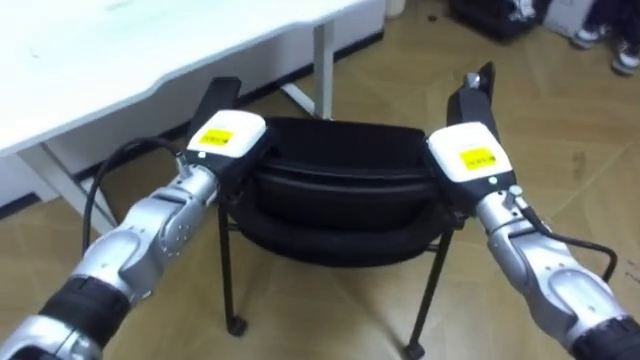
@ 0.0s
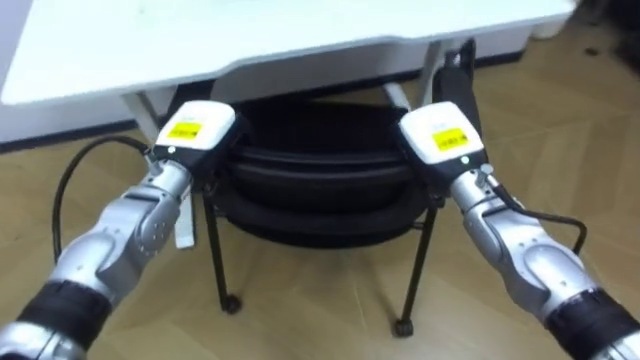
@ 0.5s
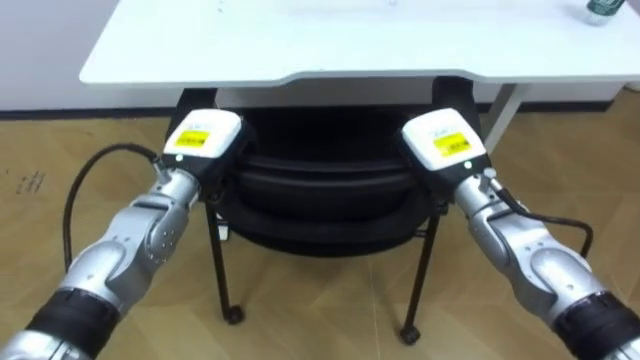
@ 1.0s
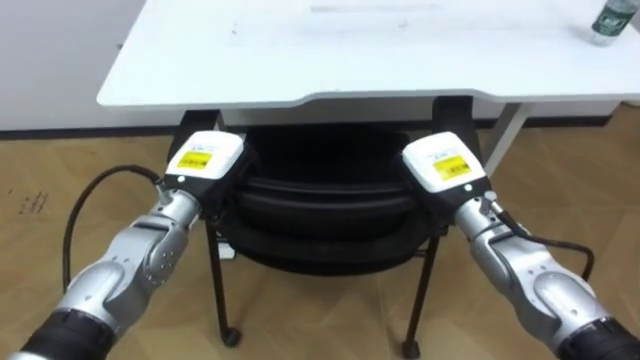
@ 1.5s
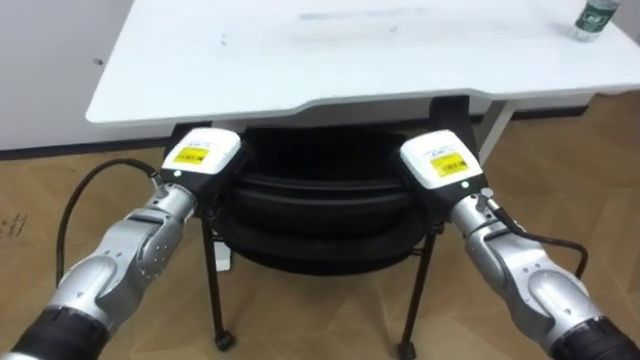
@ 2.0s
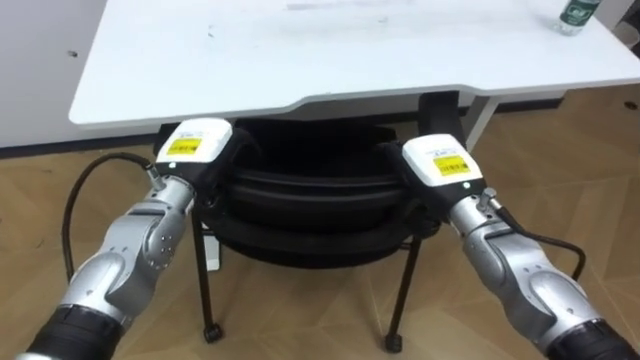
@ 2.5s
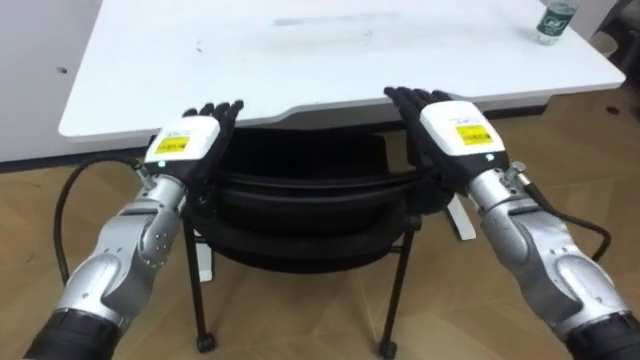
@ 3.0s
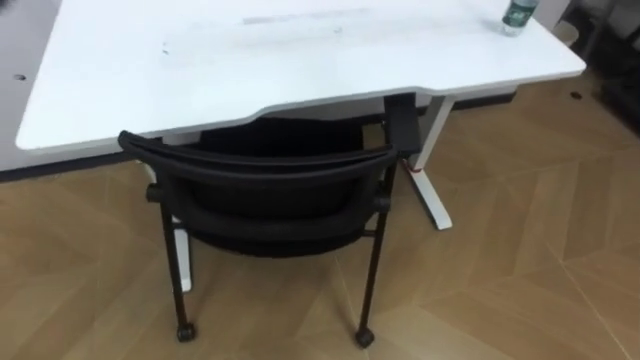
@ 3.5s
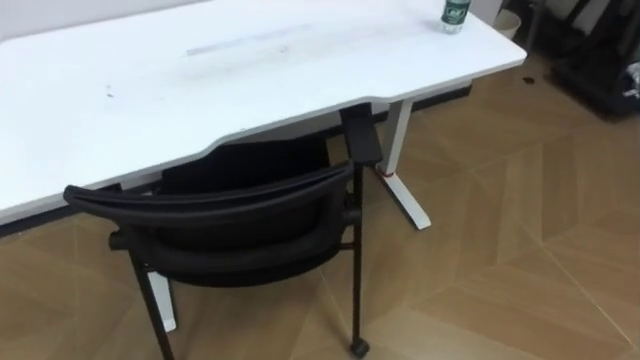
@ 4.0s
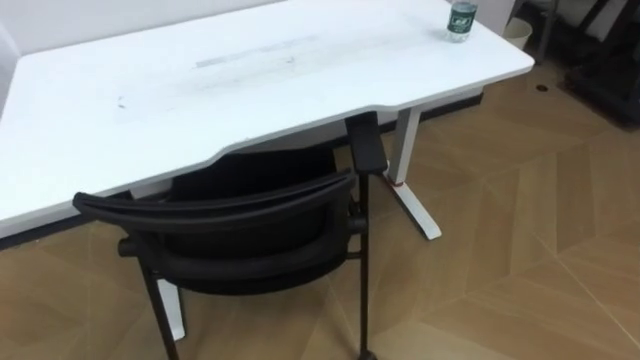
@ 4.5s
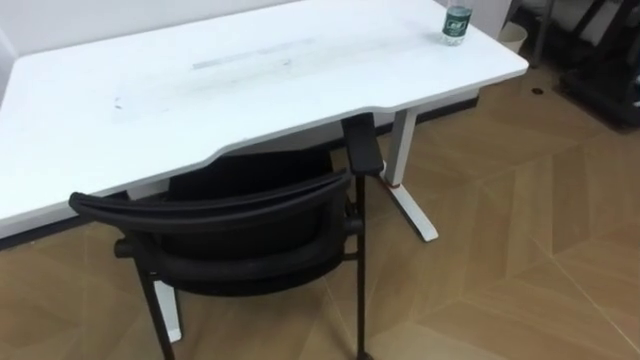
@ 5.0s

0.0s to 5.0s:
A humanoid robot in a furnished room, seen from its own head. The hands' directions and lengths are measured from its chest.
Task of the whole recording: Push the chair under the table.
0.0s to 2.5s: The left hand opens its fingers. Meanwhile the right hand opens.

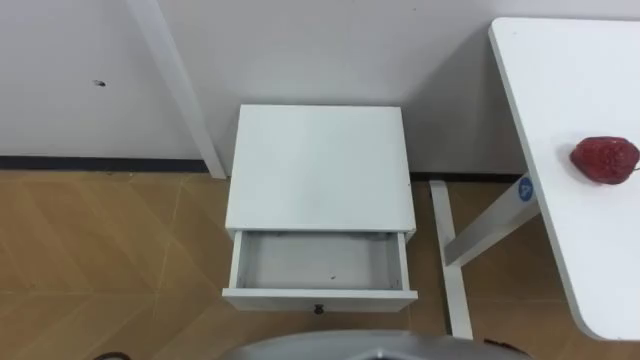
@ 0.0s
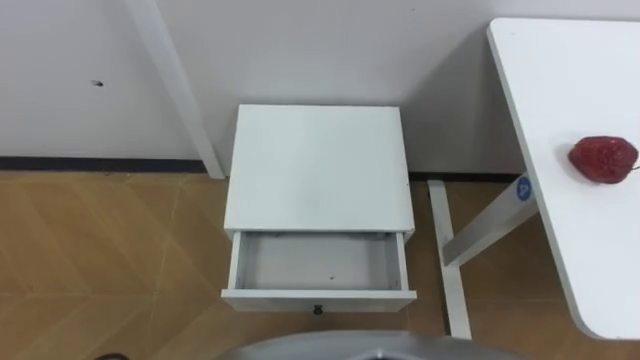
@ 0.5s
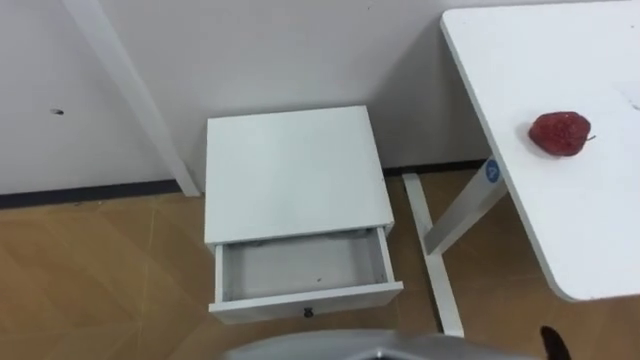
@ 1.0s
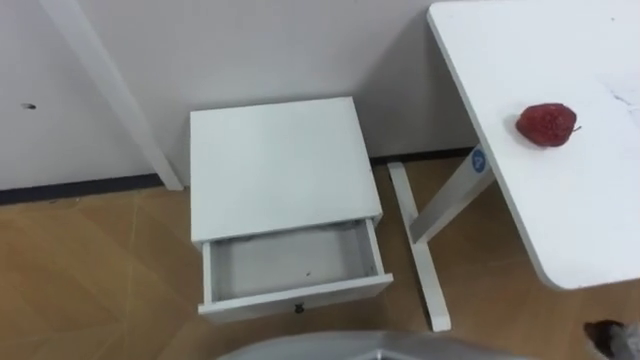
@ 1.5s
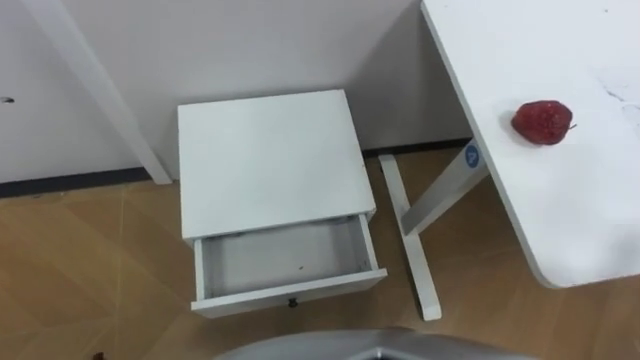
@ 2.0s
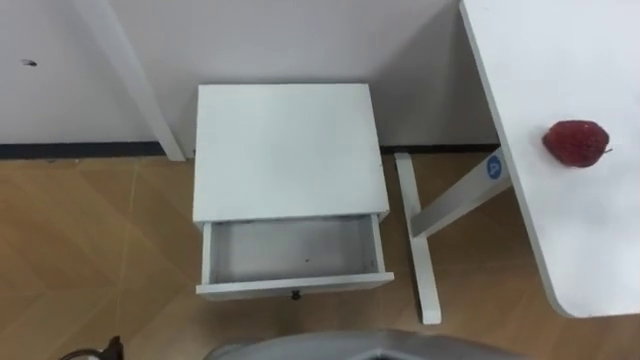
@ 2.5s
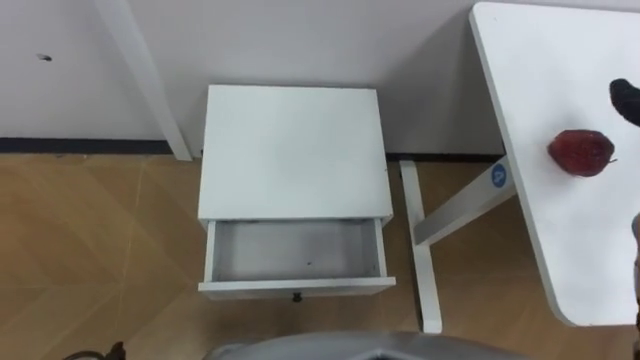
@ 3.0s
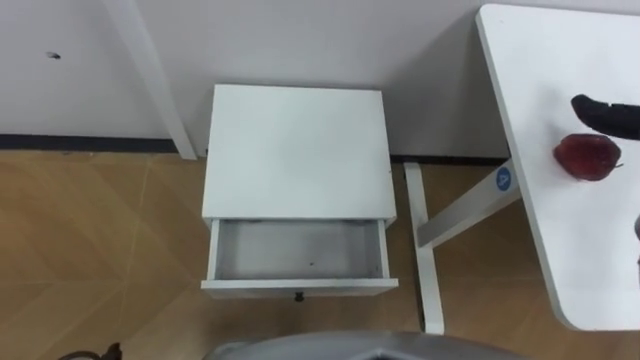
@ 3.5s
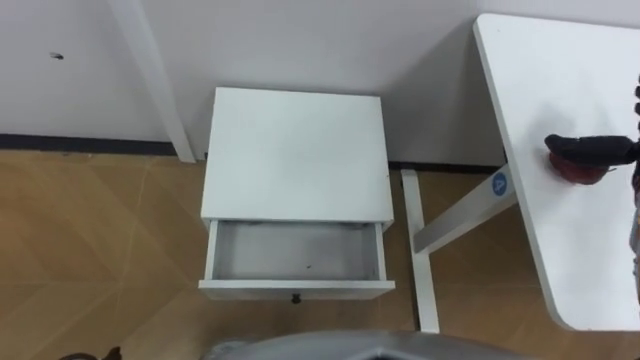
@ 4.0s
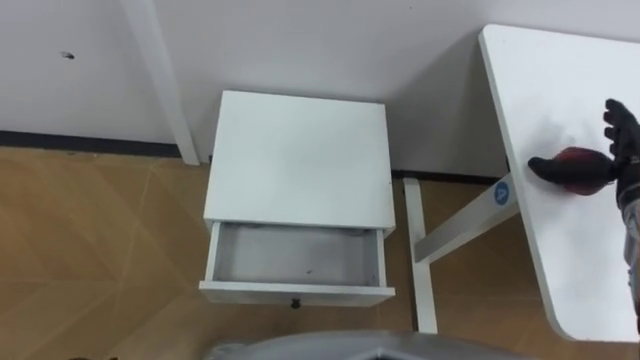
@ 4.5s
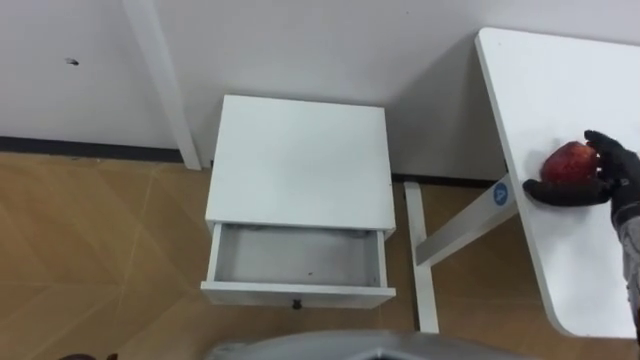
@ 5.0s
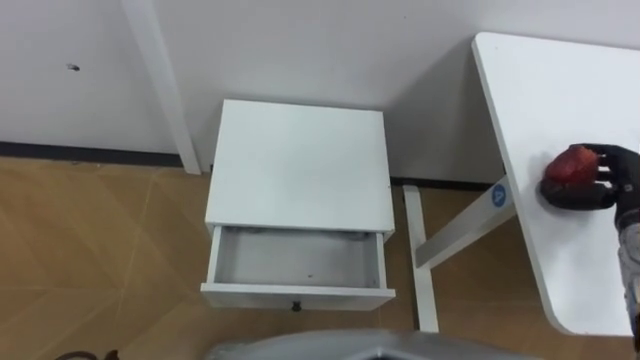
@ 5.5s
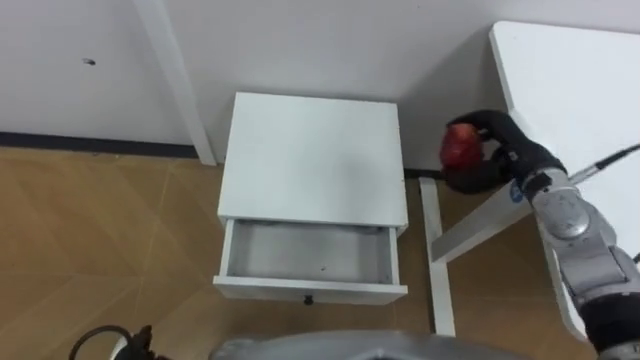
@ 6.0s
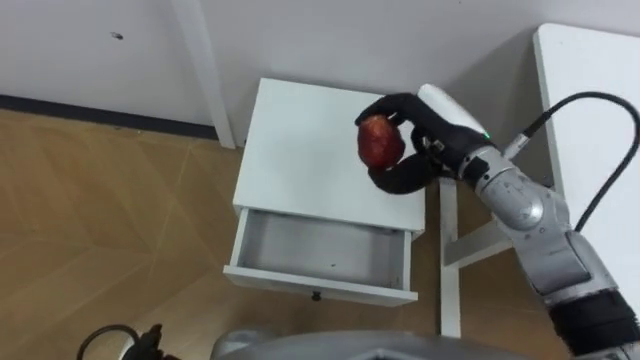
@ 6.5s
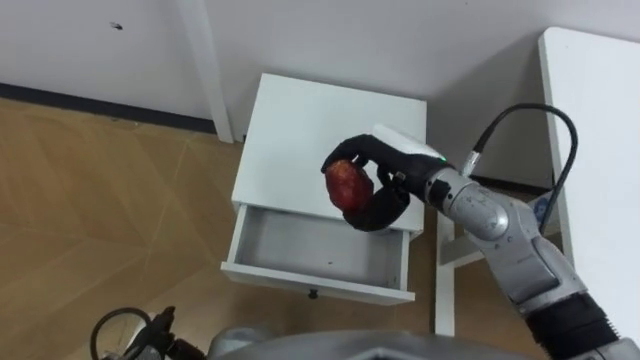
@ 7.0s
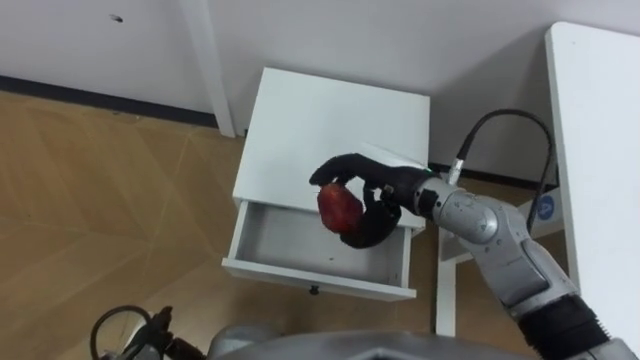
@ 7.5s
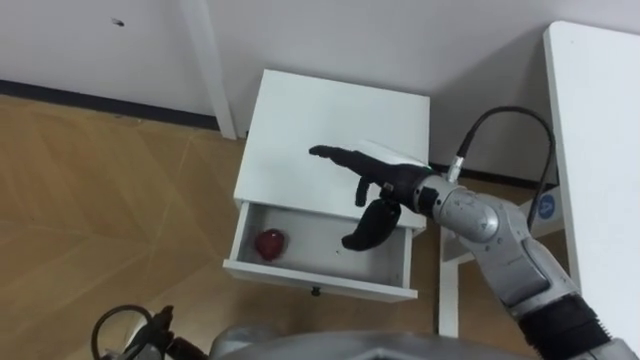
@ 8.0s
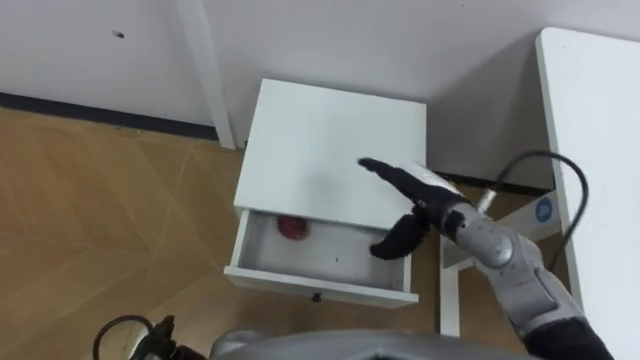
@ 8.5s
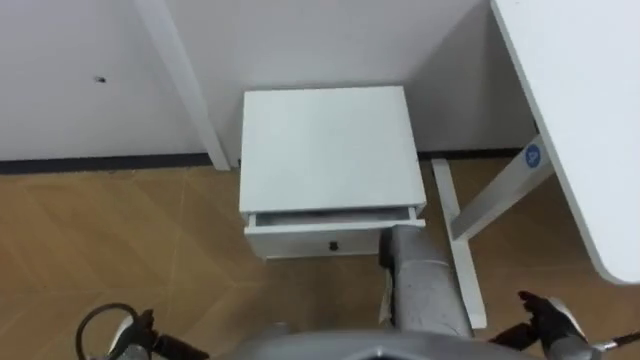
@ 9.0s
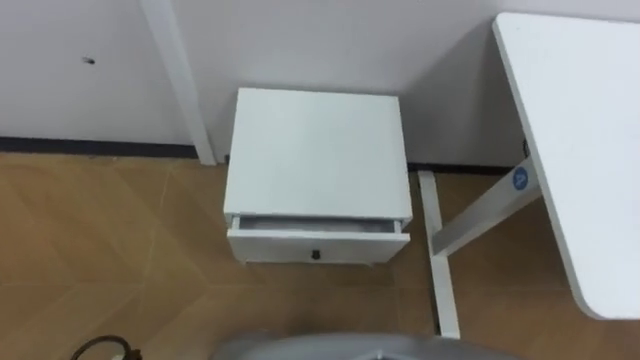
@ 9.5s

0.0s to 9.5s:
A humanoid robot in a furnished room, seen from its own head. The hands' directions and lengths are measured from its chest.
Task of the whole recording: Pick up the apple from the table, put it in the drawer, and close the drawer with leg.
5.5s to 7.5s: The right hand heads to the left, covering some 30 cm.

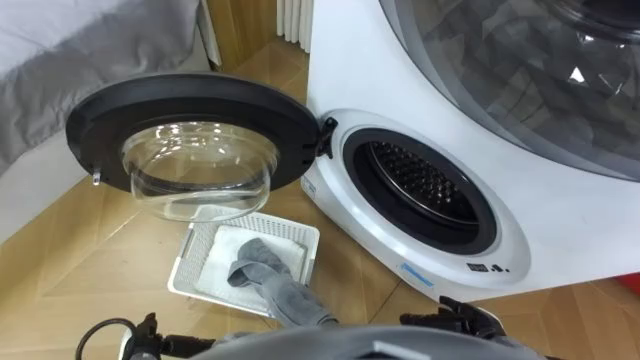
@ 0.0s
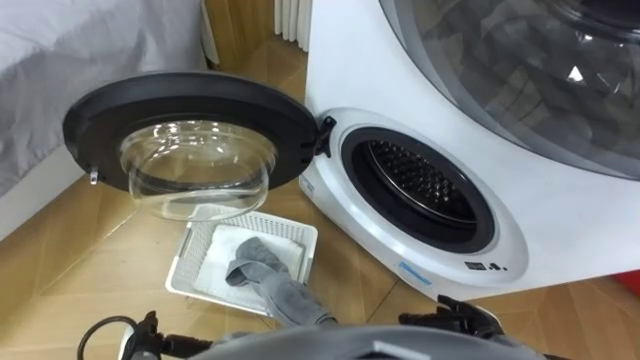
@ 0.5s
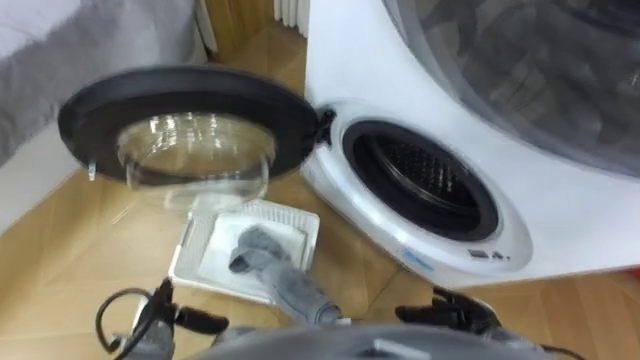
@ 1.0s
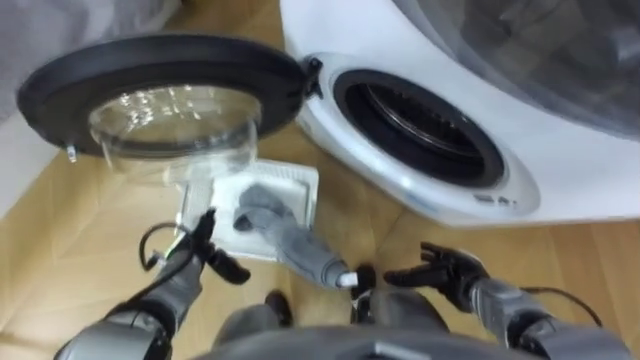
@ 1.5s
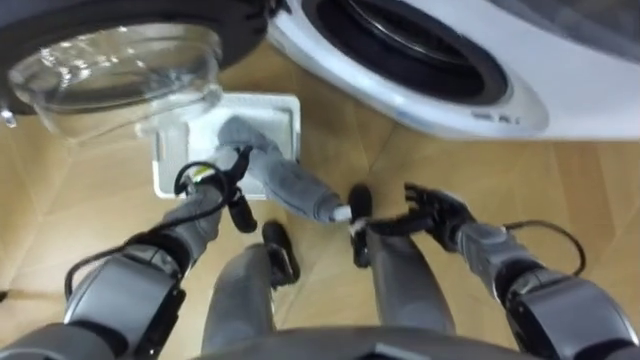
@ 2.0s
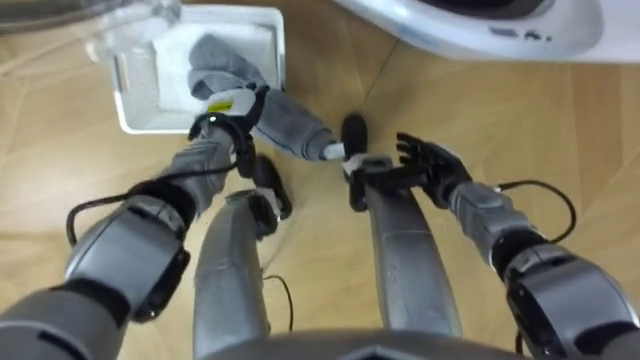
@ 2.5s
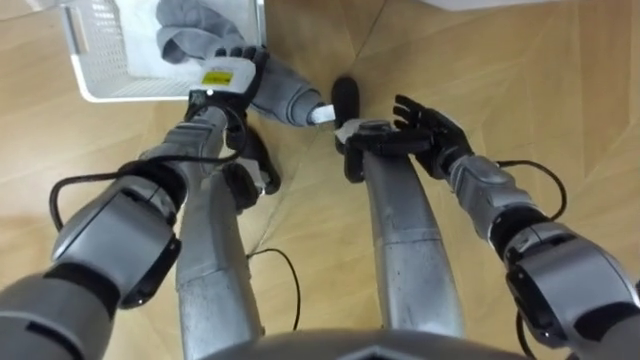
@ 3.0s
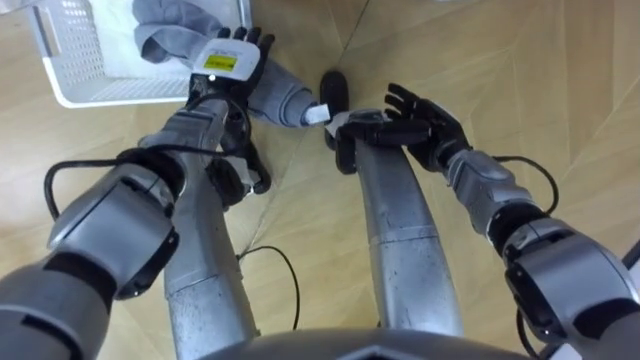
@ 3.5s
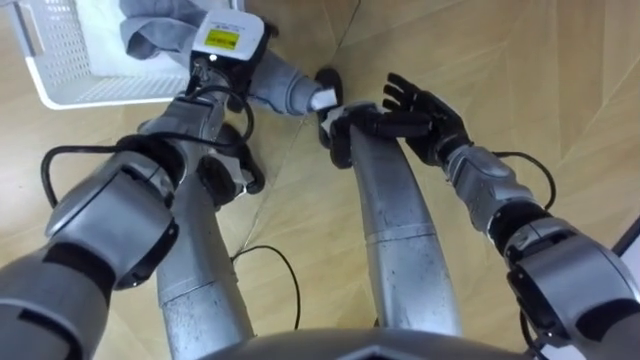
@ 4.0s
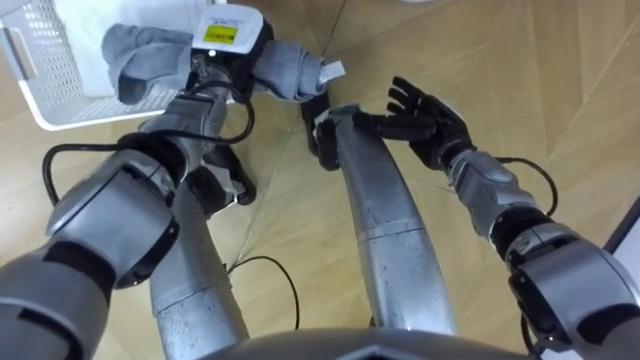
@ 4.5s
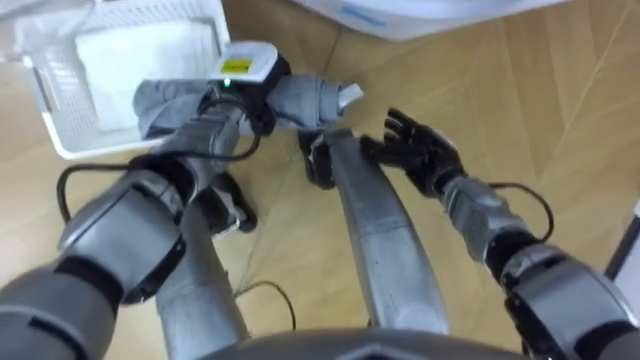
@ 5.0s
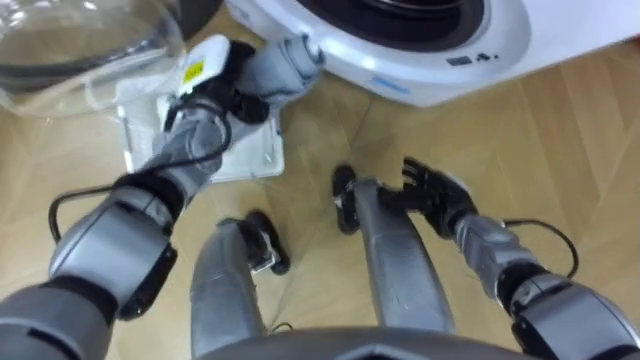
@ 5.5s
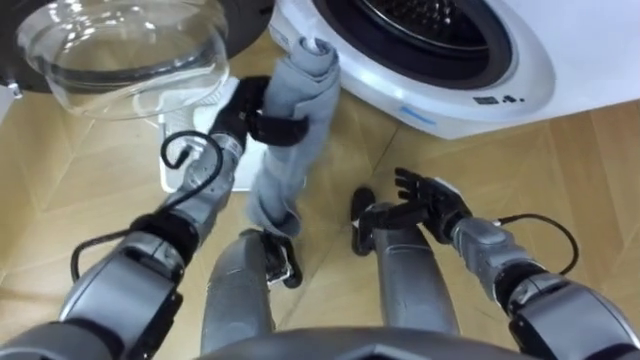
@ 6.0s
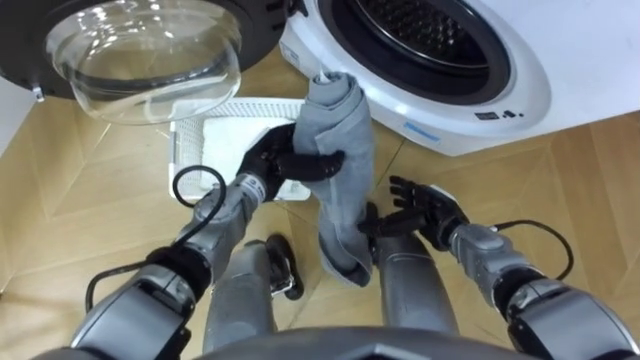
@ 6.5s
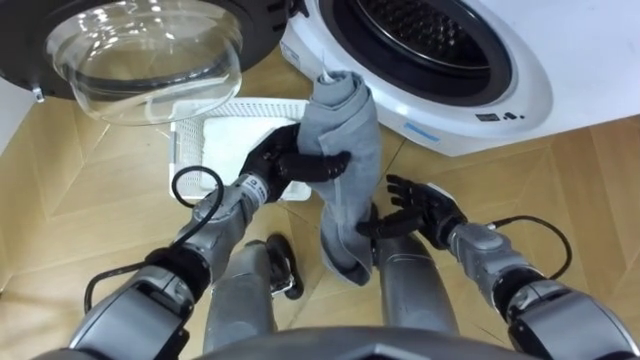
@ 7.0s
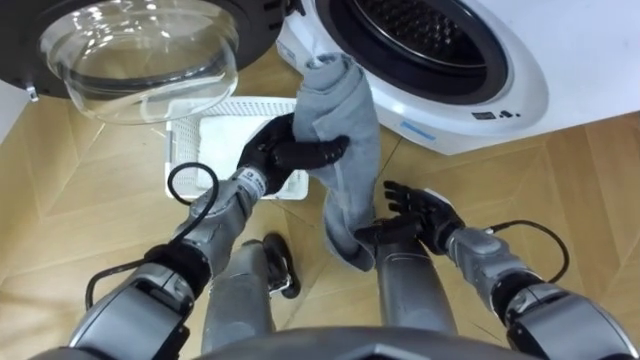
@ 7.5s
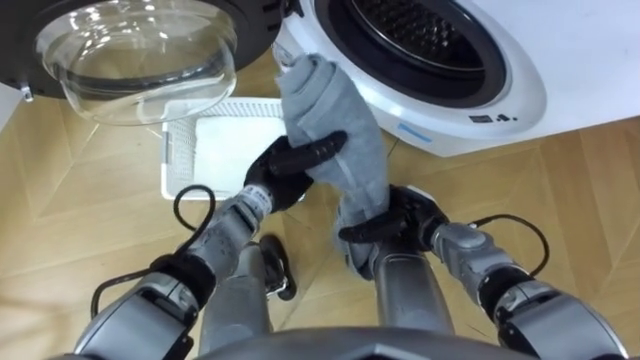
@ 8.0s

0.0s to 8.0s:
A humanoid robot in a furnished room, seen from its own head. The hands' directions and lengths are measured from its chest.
Task of the whole recording: Take the towel from the basket and put it into the washing machine.
2.0s to 4.0s: The left hand moves upward and forward, approximately 20 cm; the right hand goes roughly 15 cm forward and upward.
4.0s to 6.0s: The left hand moves downward and backward, some 10 cm, and closes. The right hand is displaced backward and downward by about 10 cm.
6.0s to 8.0s: The left hand heads backward and to the right, covering about 10 cm.
